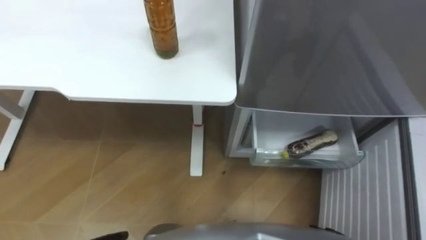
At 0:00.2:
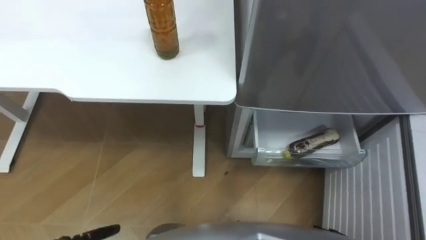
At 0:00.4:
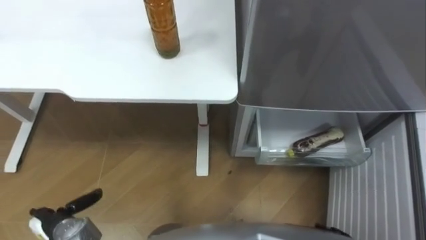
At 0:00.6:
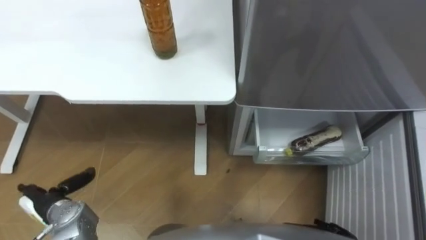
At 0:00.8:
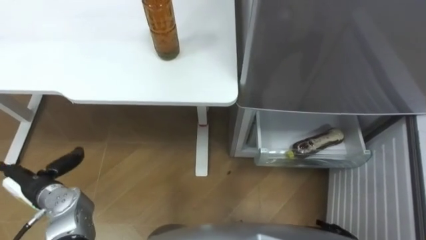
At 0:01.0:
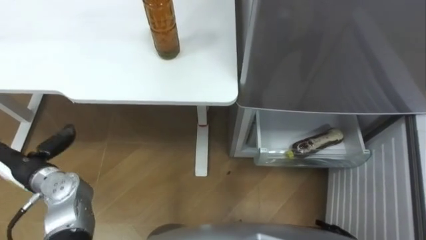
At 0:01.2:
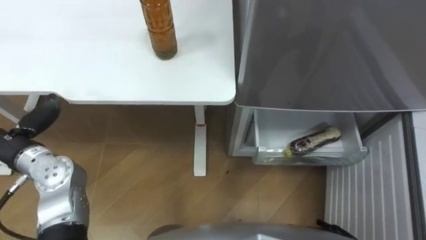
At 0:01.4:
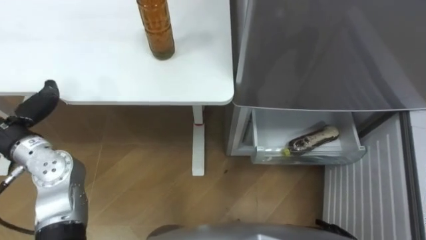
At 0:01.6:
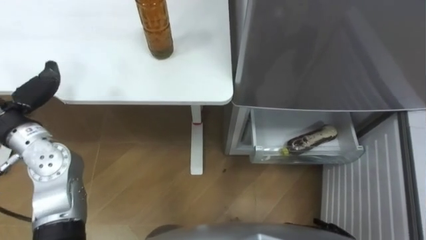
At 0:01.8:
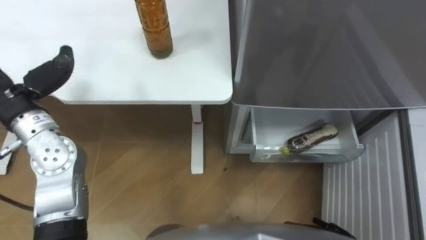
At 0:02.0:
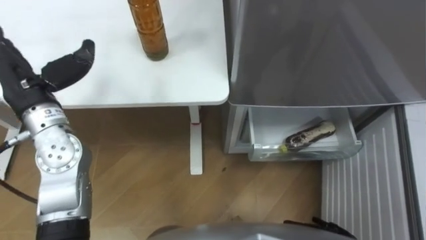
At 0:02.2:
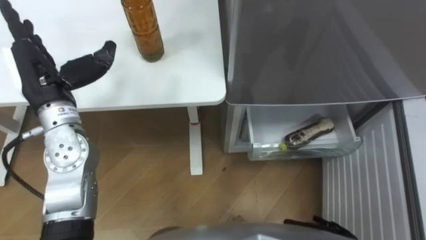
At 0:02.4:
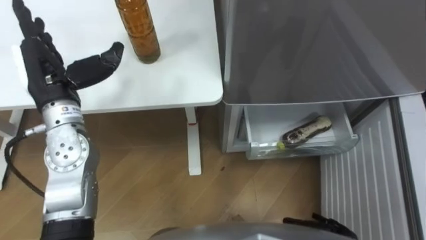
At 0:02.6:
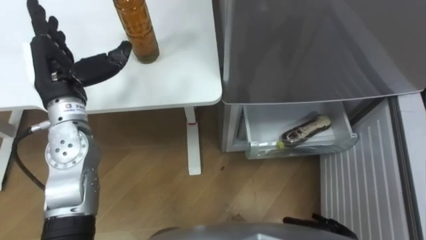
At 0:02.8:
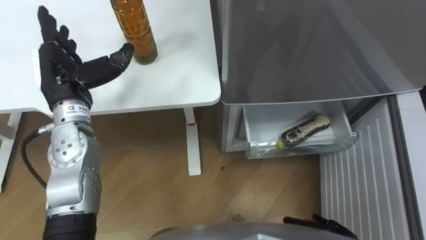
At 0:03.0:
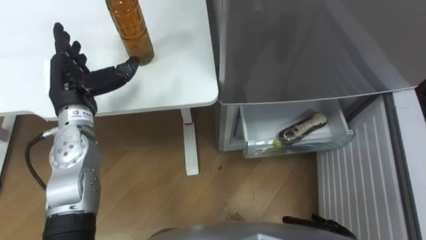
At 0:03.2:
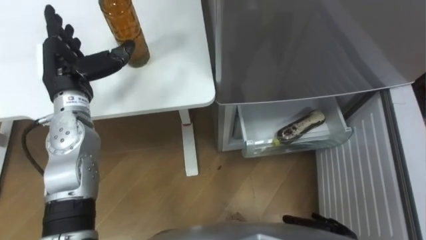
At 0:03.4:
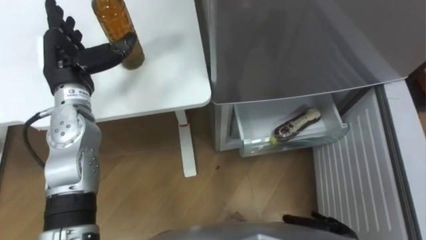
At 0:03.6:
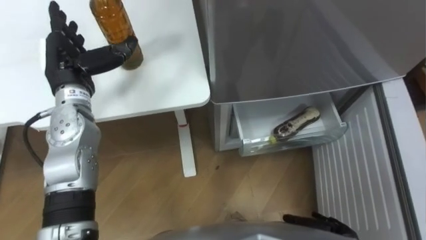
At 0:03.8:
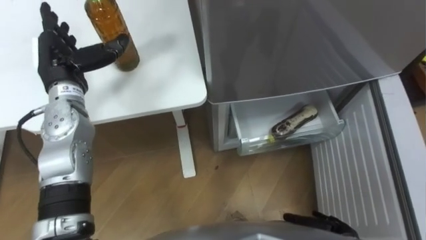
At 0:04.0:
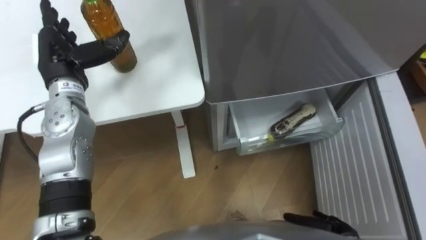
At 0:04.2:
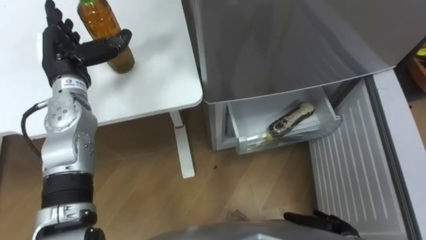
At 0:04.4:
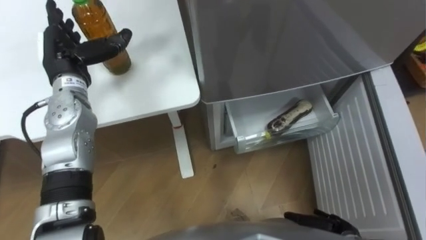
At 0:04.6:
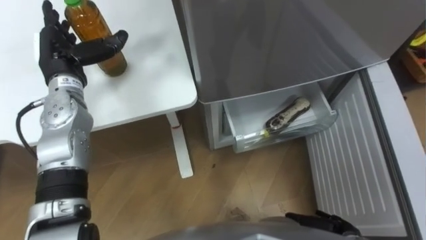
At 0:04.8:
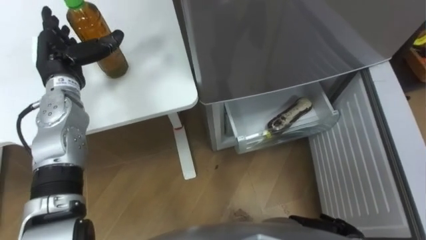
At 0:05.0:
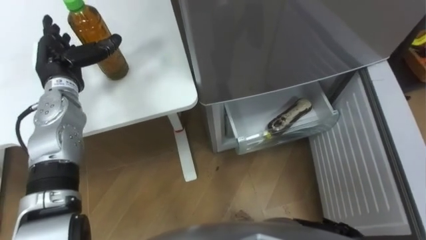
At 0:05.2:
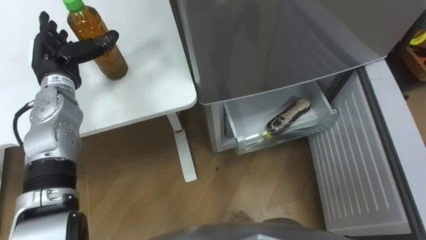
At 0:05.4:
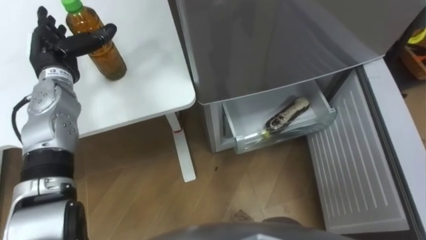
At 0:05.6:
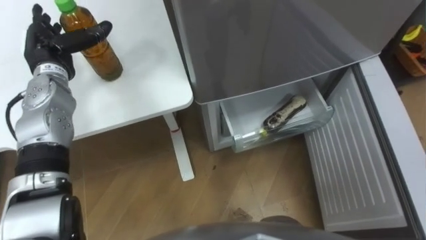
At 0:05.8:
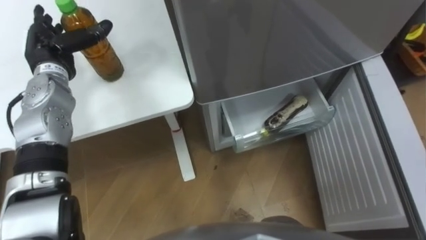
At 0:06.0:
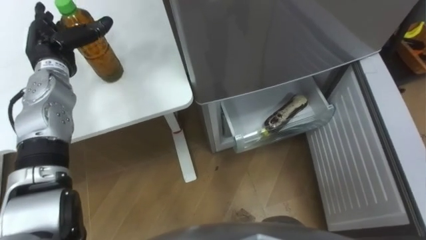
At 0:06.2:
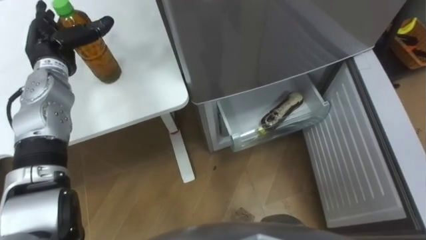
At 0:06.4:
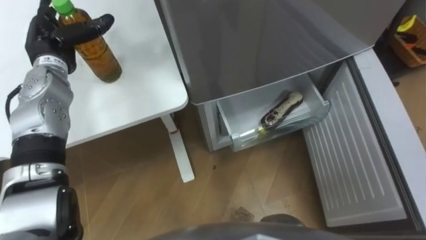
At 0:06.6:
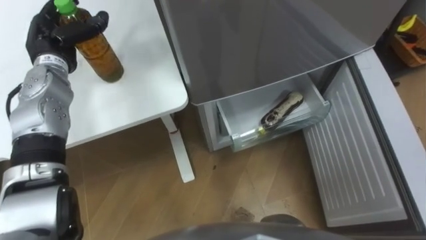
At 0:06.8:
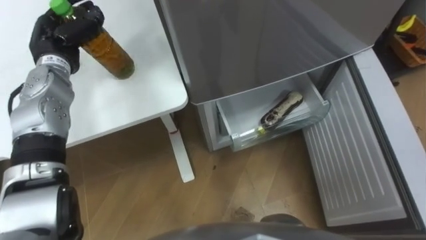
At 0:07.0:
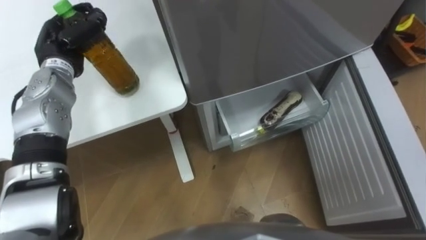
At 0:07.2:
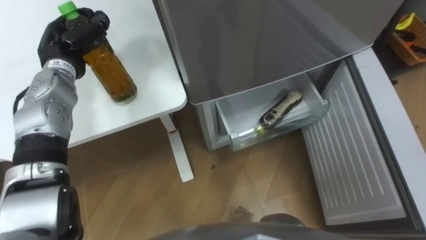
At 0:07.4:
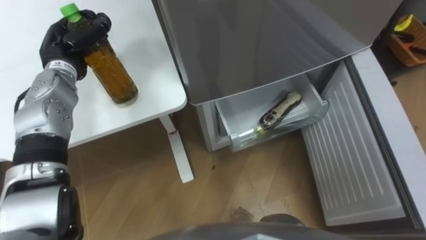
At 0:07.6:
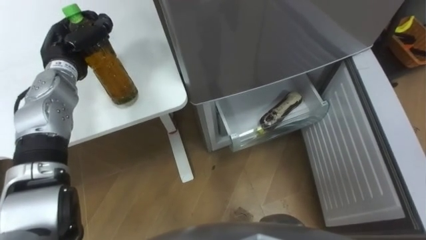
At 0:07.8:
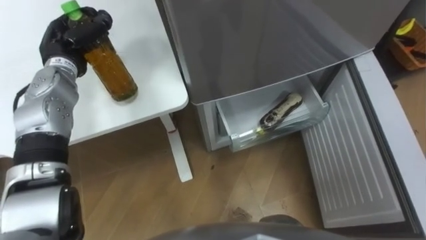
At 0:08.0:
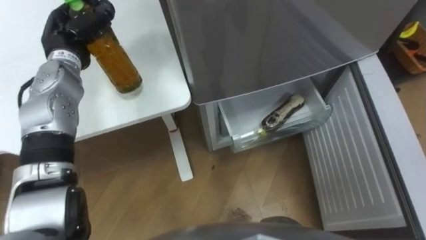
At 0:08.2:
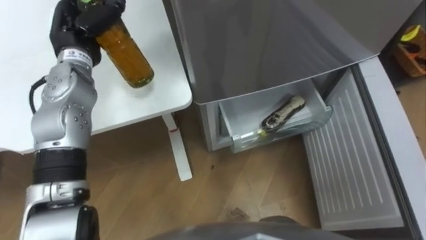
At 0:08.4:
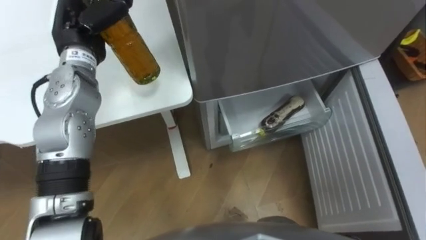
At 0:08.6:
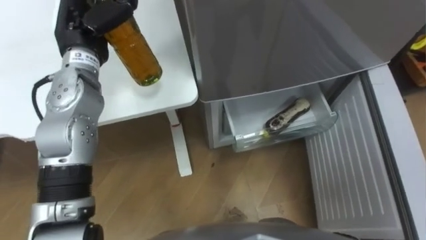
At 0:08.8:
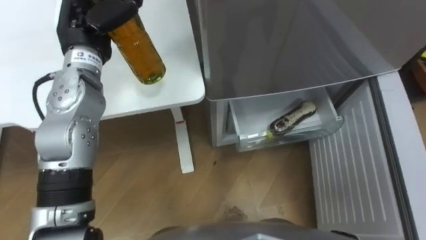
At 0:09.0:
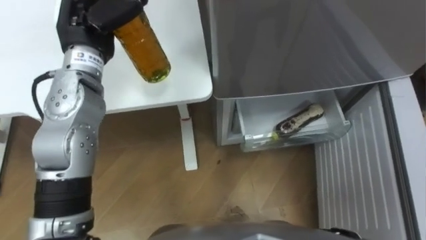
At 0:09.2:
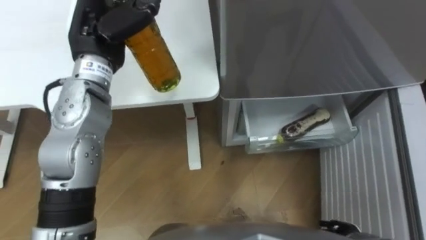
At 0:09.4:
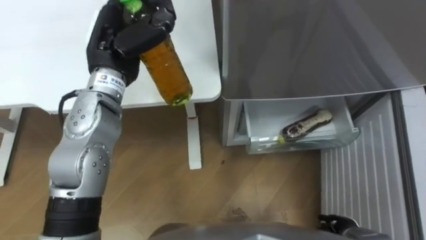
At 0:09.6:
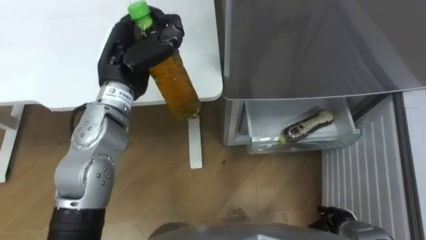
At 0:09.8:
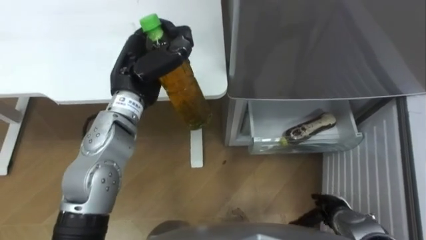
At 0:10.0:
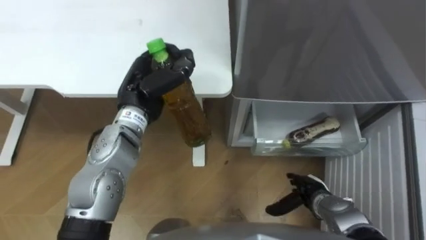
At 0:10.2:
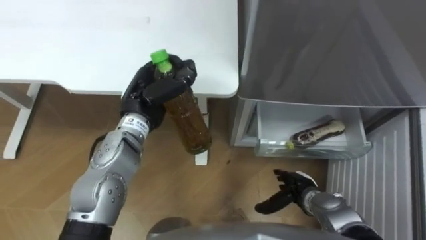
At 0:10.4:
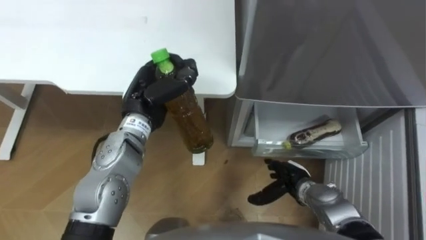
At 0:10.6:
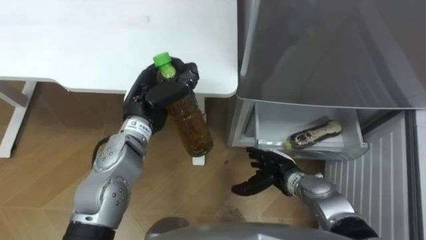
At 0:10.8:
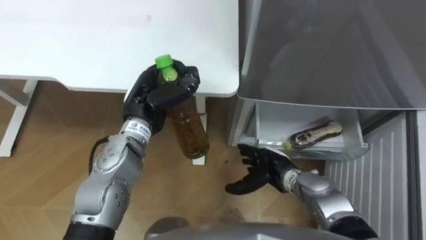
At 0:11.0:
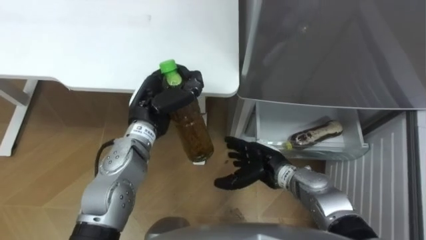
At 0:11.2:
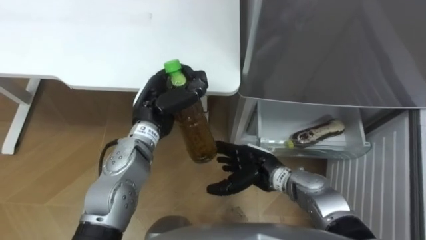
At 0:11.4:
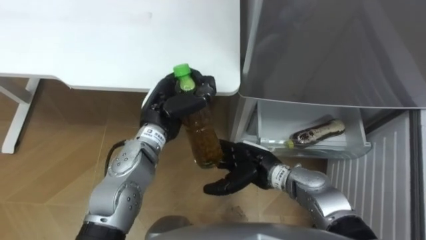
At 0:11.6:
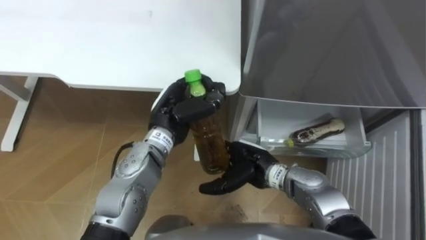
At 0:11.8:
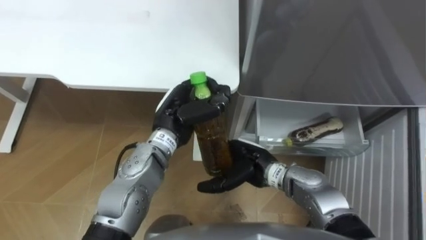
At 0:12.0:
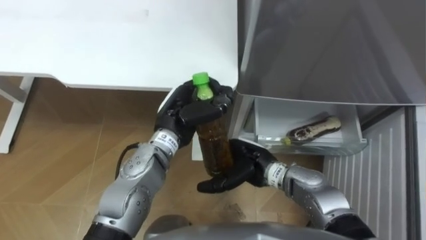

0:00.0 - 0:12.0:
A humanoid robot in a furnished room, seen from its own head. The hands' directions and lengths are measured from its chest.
Task of the whole recording: Place the drink on the table on the bottom shelf of the refrigerator, then close the drawer and the refrigerator door.
0:03.0 - 0:04.4: The left hand shifts approximately 5 cm forward.
0:06.0 - 0:07.6: The left hand closes its fingers.
0:07.6 - 0:09.0: The left hand is displaced upward and to the right by approximately 15 cm.
0:09.0 - 0:10.4: The left hand travels downward, to the right and backward by about 15 cm.
0:10.4 - 0:12.0: The right hand is displaced to the left and upward by about 15 cm. Meanwhile the left hand heads to the right, covering some 5 cm.

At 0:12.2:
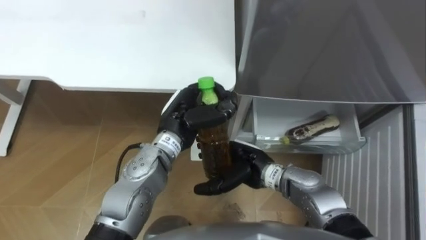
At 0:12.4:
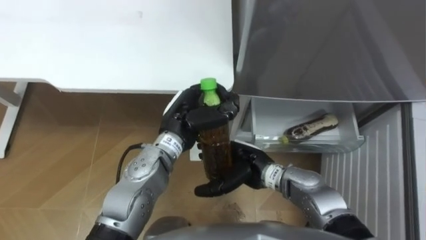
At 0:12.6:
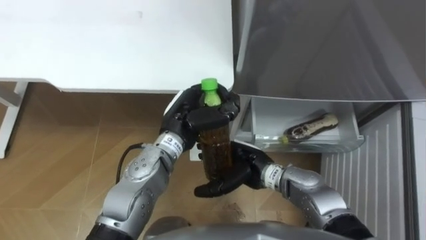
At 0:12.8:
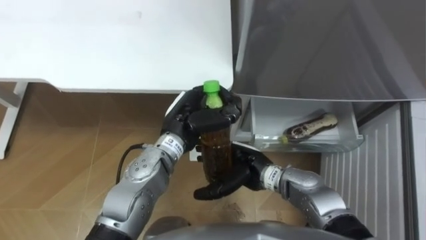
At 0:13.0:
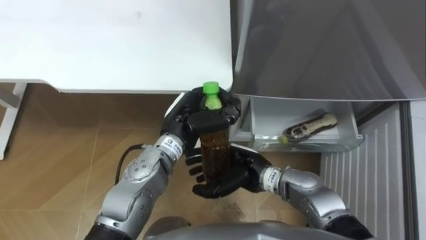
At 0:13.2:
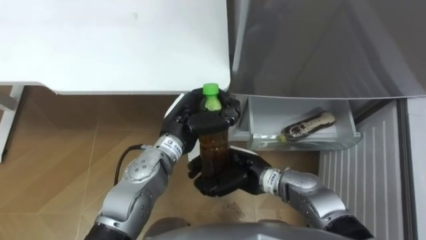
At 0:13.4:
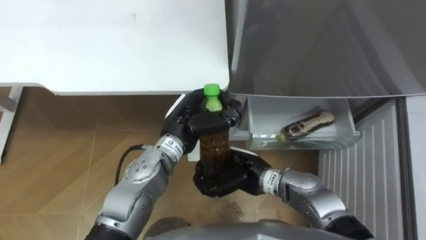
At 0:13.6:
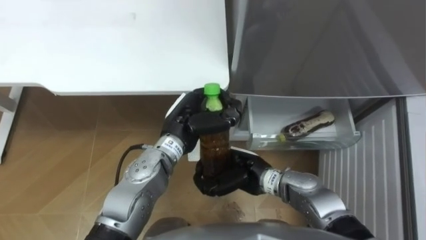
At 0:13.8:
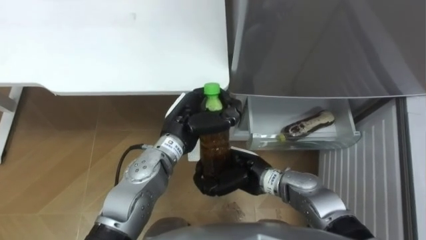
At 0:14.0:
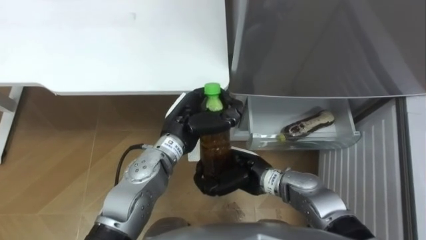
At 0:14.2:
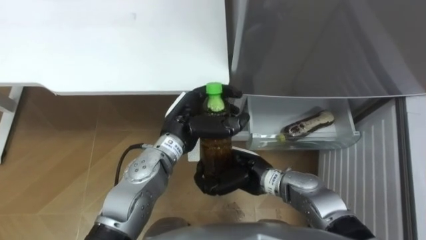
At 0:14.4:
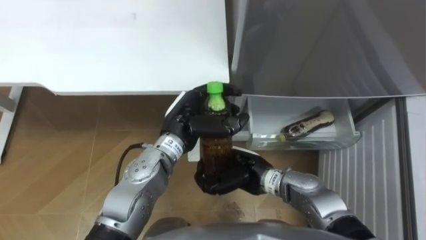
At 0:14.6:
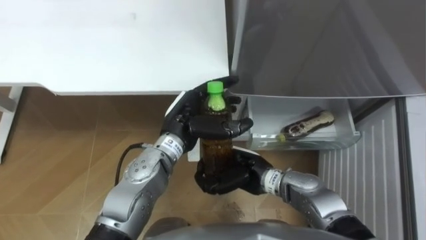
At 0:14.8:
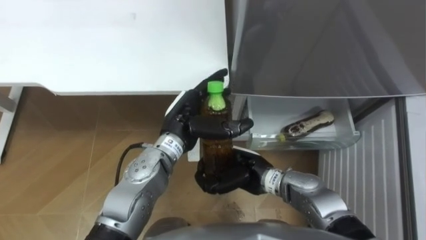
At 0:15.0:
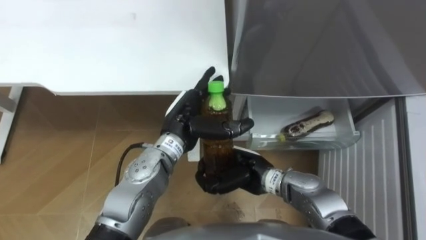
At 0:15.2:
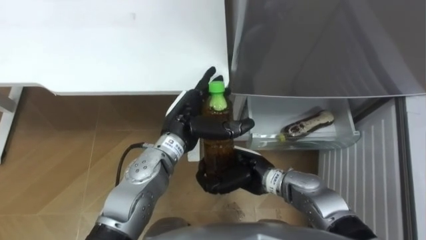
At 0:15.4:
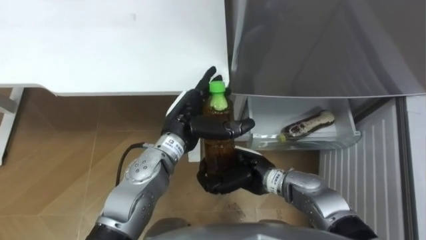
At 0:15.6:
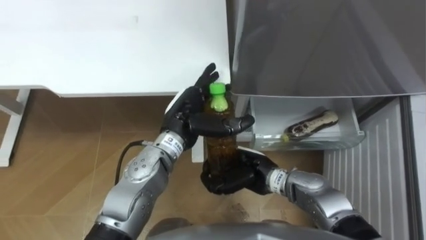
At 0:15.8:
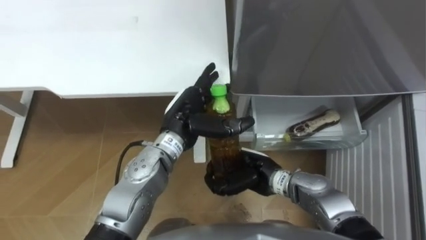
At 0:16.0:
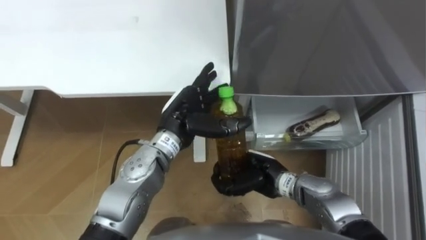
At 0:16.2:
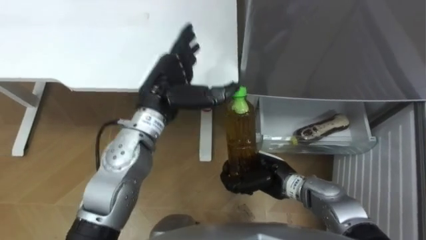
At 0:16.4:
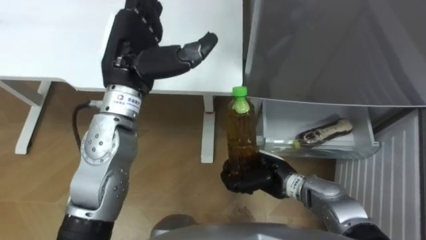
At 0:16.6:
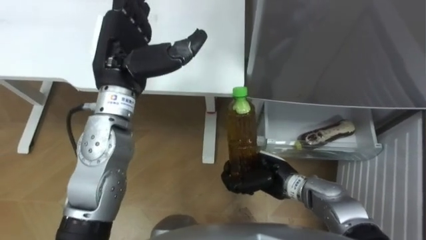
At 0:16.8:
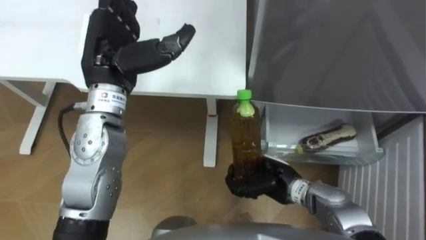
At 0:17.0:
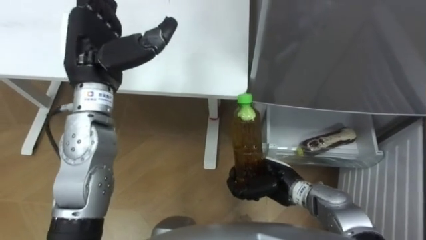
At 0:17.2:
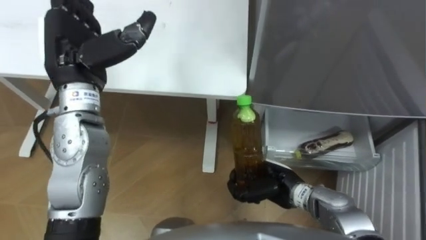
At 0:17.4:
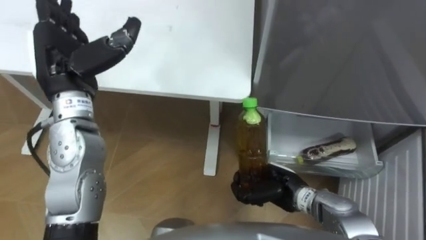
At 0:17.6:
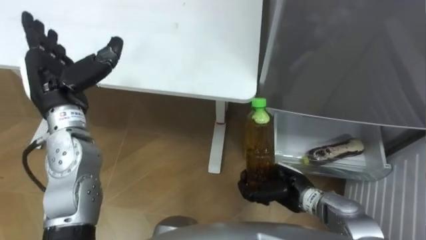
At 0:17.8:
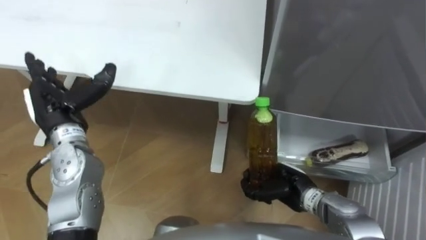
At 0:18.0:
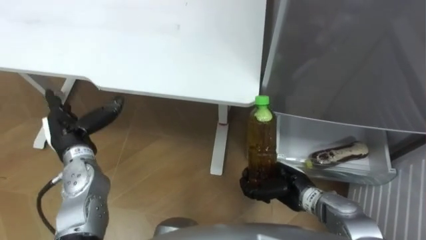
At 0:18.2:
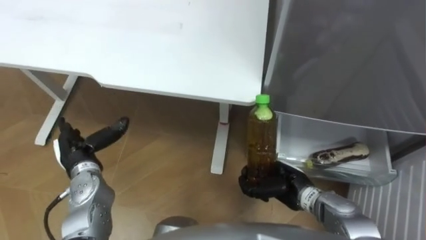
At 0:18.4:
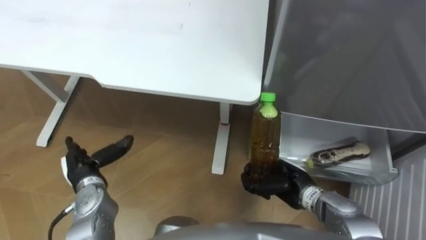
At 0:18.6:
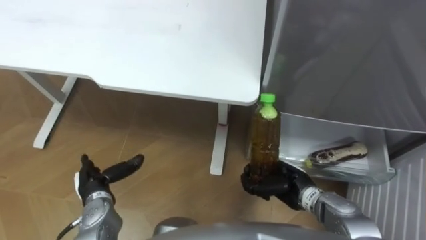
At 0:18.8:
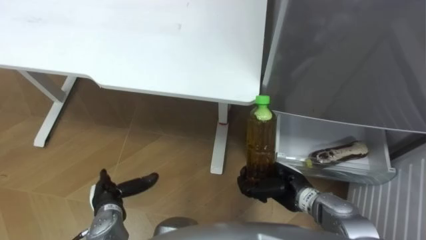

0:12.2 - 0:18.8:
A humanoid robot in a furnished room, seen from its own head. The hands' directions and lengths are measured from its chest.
Task of the whole recording: Place the drink on the table on the bottom shelf of the refrigerator, then close the drawer and the refrigerator door.
0:12.2 - 0:13.8: The right hand closes.
0:13.8 - 0:15.4: The left hand opens its fingers.
0:15.4 - 0:17.2: The right hand travels to the right by about 5 cm. The left hand travels to the left and upward by some 20 cm.
0:17.2 - 0:18.8: The left hand heads downward and backward, covering some 35 cm.
